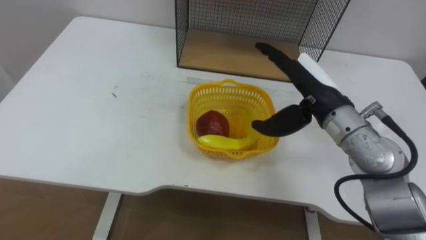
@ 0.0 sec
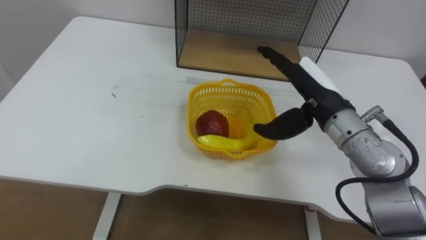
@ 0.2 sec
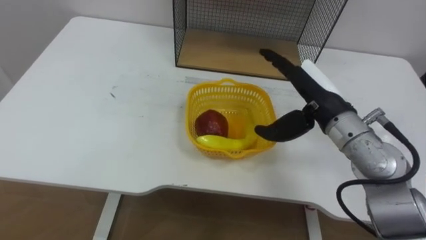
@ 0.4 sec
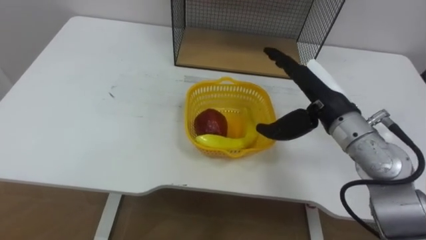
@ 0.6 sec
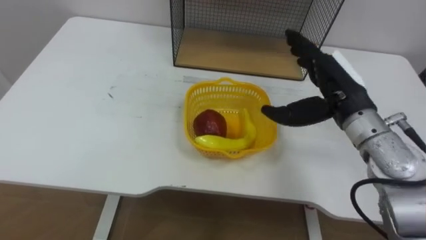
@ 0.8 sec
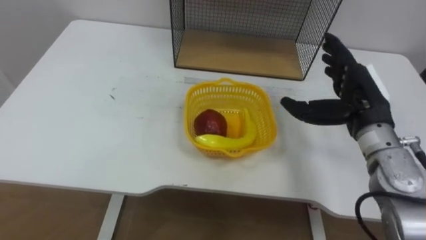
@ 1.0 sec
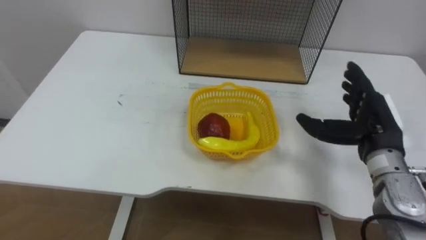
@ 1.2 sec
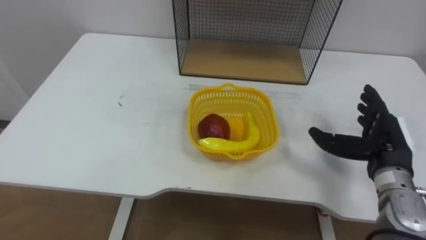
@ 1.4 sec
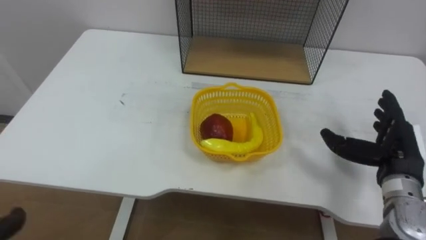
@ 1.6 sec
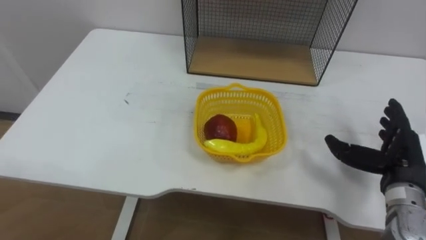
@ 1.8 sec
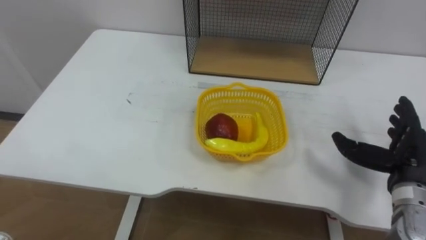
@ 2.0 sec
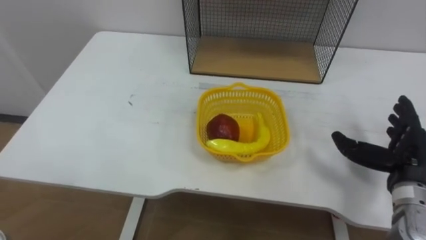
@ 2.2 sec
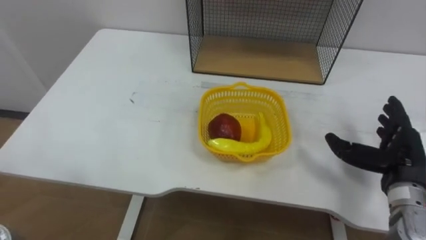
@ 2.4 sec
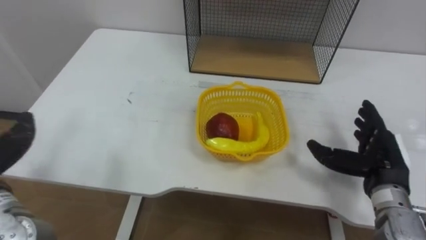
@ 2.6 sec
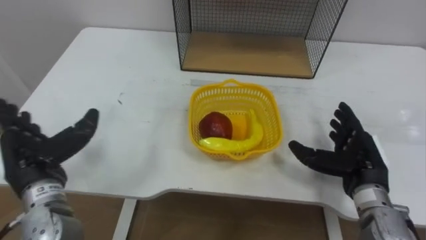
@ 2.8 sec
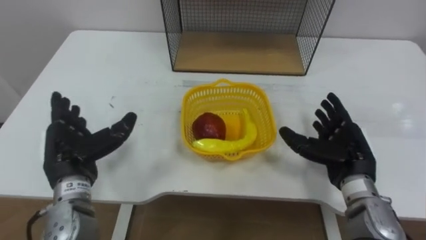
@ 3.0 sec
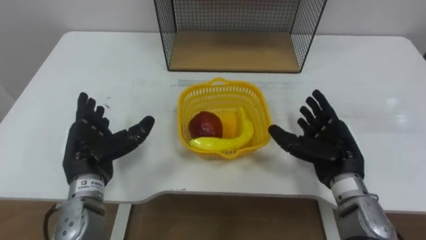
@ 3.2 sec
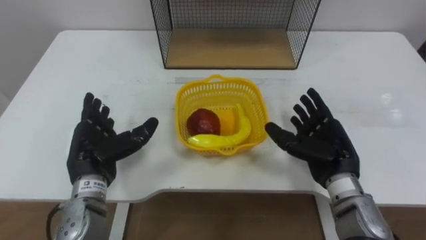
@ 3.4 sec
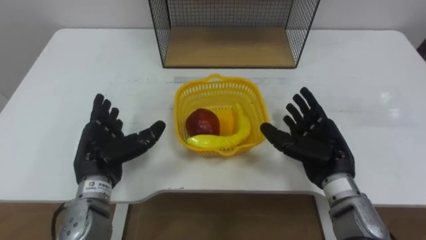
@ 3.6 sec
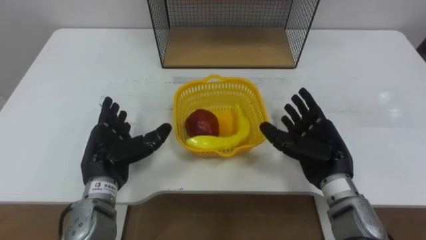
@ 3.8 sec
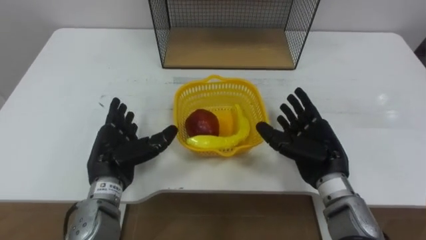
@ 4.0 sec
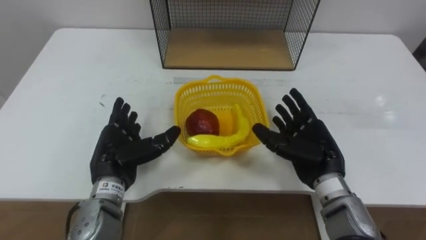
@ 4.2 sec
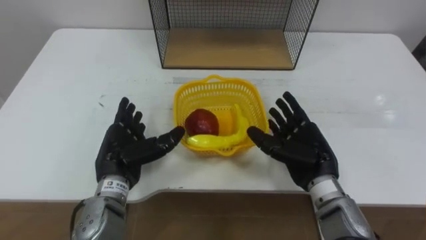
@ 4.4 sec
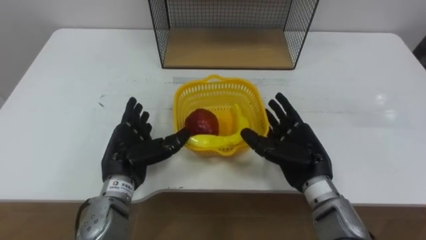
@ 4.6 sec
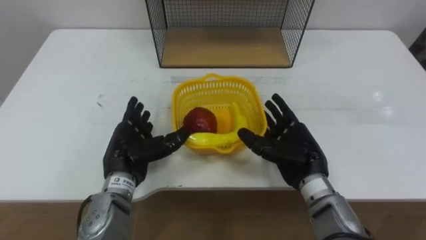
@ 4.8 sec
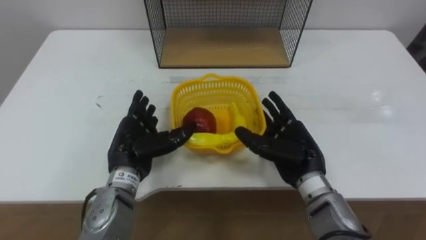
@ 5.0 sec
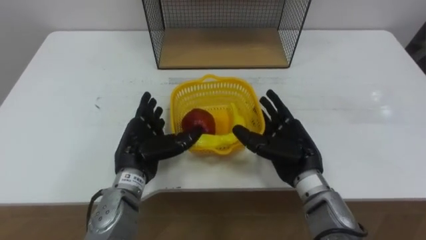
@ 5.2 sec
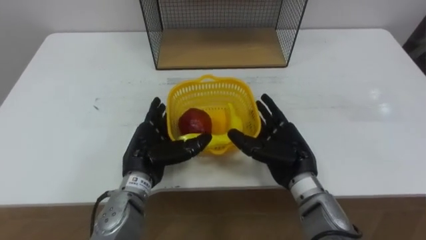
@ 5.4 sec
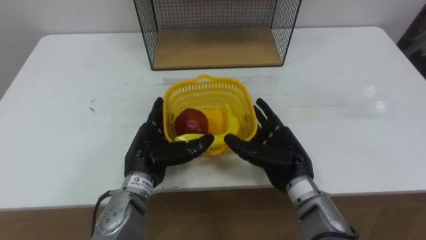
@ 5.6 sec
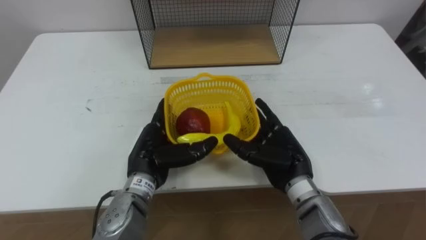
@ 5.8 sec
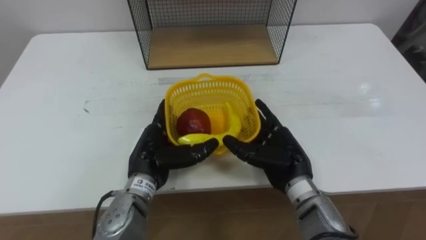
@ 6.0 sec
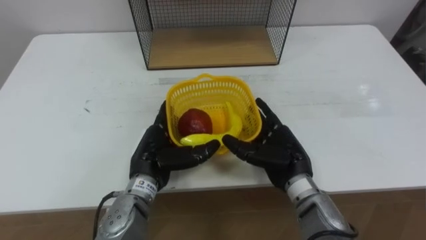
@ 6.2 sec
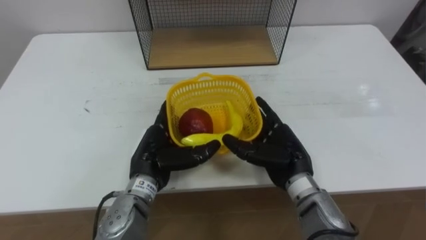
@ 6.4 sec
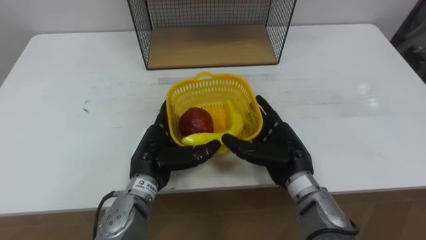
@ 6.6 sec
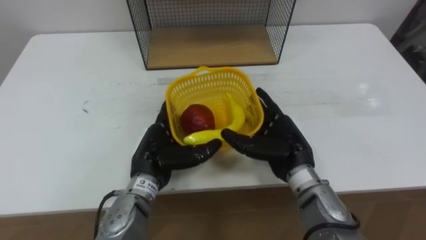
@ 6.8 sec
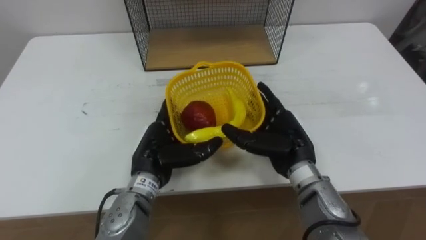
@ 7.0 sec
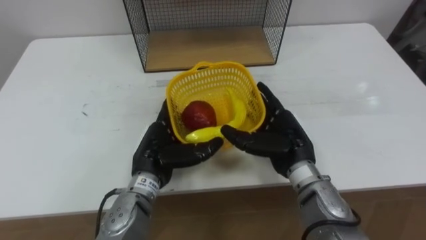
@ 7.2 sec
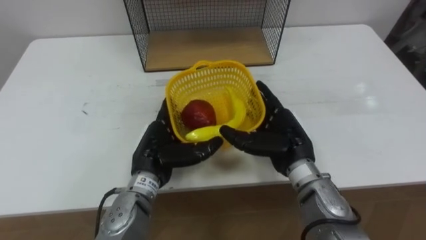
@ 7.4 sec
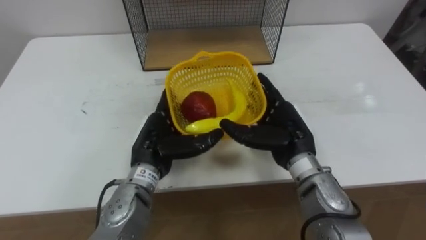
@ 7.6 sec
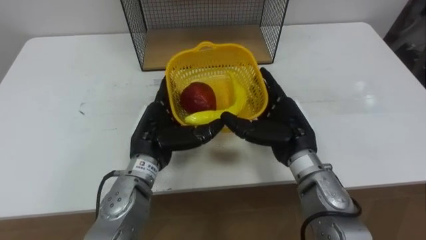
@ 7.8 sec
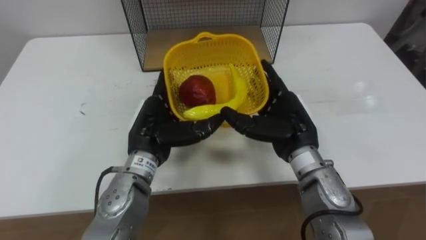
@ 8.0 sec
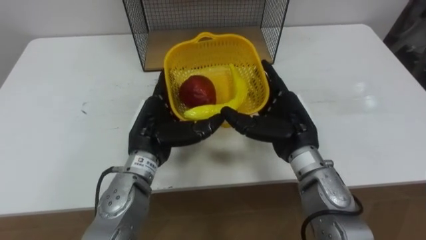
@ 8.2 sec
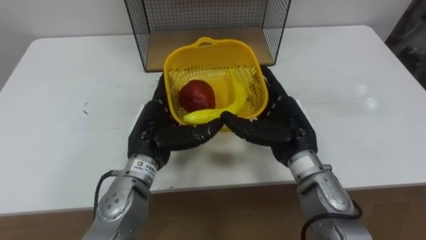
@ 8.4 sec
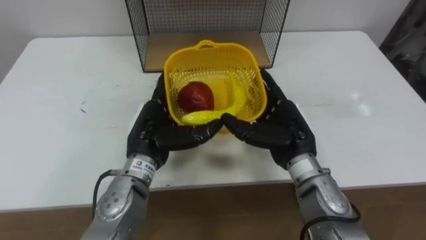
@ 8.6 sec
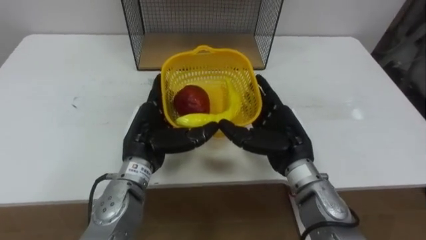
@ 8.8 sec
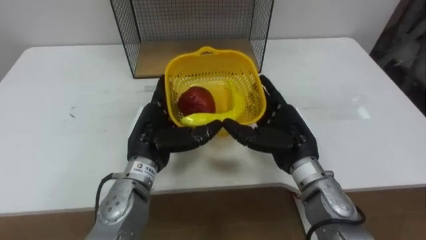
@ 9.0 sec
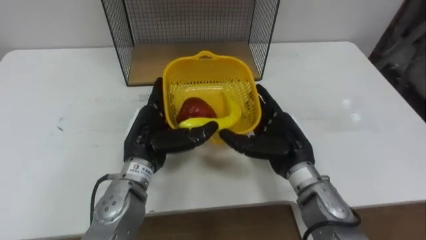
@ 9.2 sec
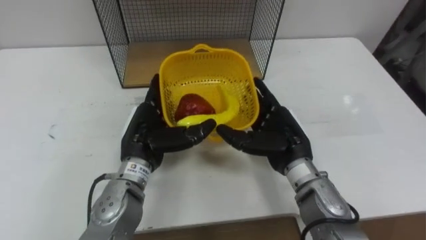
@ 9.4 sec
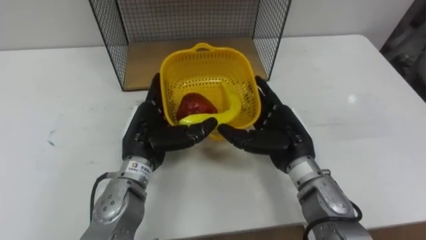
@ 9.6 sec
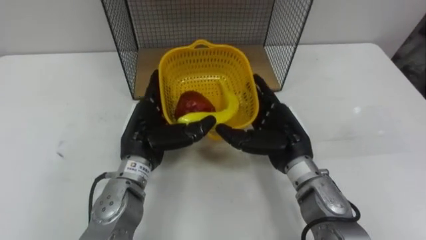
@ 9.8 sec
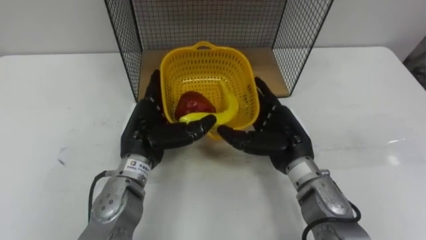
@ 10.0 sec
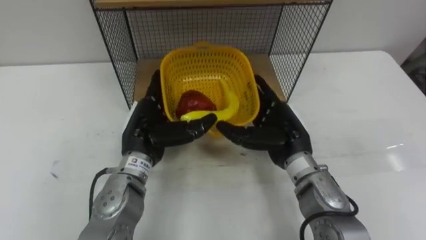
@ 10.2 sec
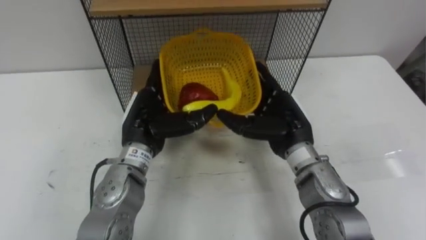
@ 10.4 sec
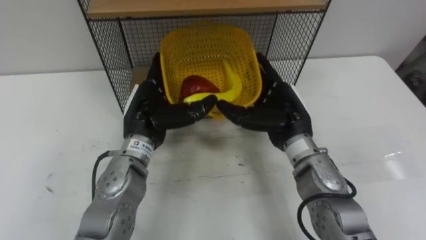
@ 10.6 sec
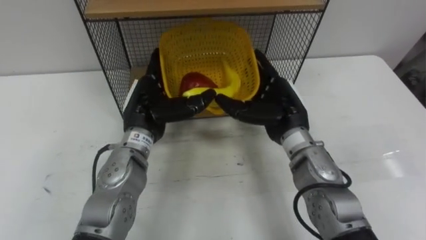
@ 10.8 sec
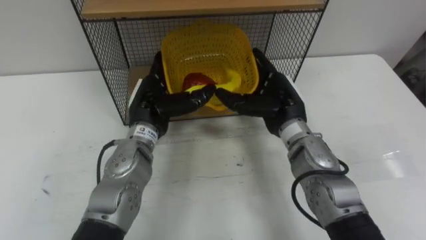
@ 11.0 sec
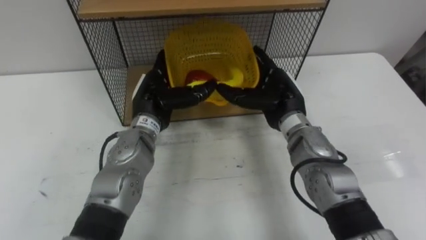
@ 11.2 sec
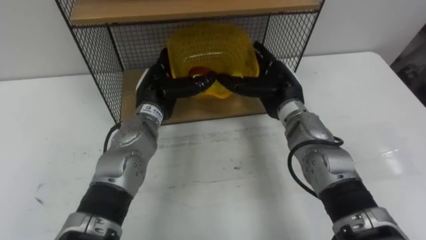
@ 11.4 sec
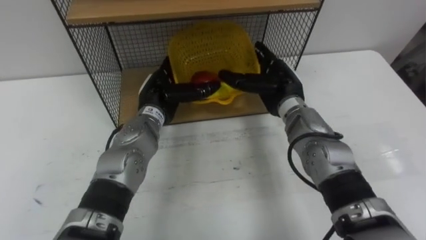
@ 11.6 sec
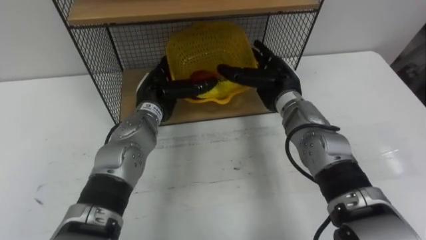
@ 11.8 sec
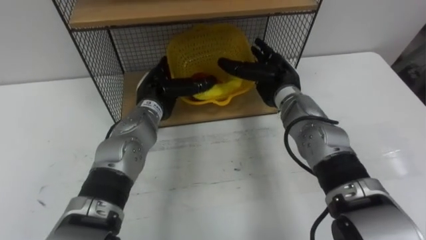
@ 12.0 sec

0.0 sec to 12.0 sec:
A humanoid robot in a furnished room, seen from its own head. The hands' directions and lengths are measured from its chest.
Task of the whole recording: Put the fruit on the table into the basket, then place the basket on the shelf.
0.0 sec to 1.6 sec: The right hand is displaced to the right, downward and backward by roughly 20 cm.
1.6 sec to 3.0 sec: The right hand moves to the left, about 5 cm.
3.0 sec to 4.4 sec: The left hand is displaced to the right by some 10 cm. Meanwhile the right hand is displaced to the left by roughly 5 cm.
4.4 sec to 6.0 sec: The left hand moves to the right, approximately 5 cm.
6.0 sec to 7.6 sec: The hands move only a little.
10.4 sec to 12.0 sec: Both hands travel together forward, about 10 cm.

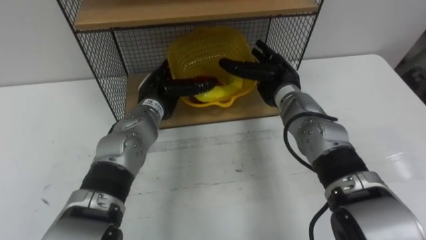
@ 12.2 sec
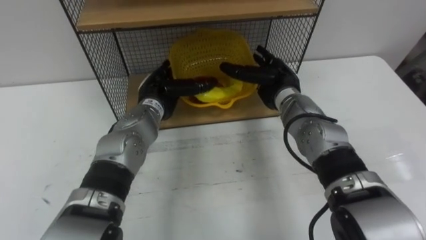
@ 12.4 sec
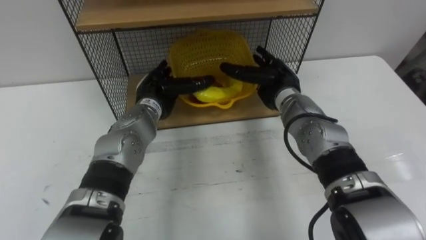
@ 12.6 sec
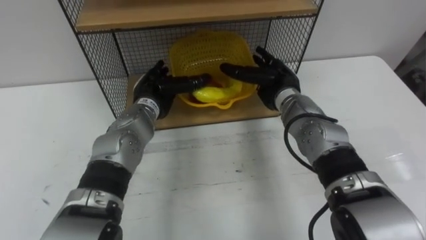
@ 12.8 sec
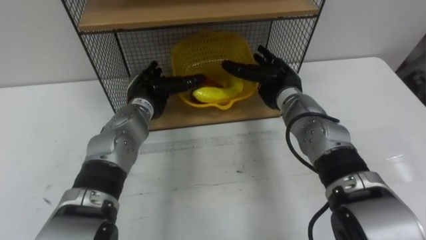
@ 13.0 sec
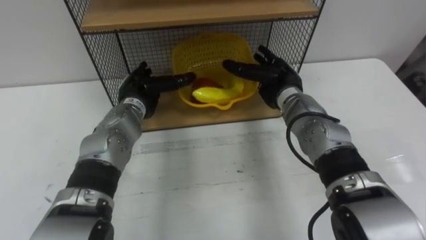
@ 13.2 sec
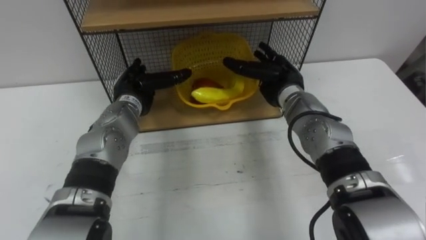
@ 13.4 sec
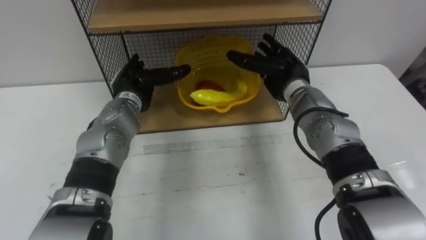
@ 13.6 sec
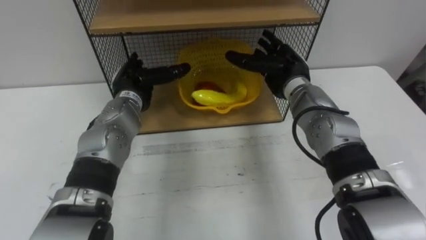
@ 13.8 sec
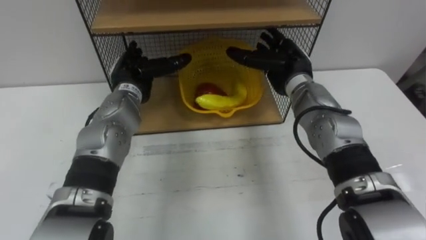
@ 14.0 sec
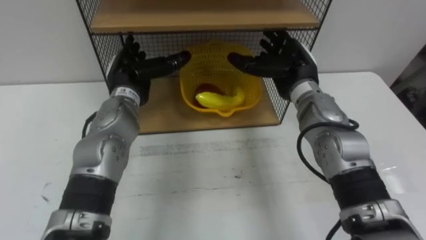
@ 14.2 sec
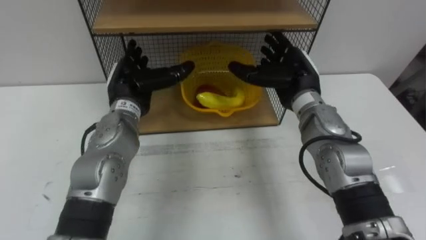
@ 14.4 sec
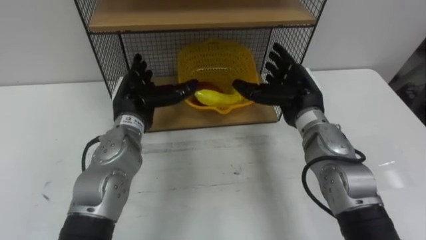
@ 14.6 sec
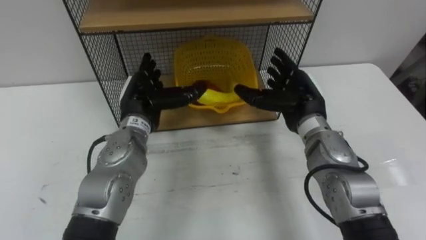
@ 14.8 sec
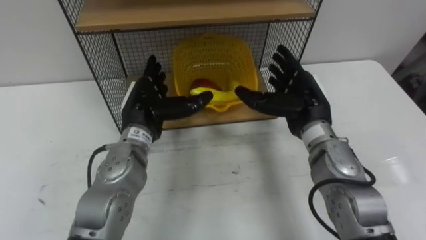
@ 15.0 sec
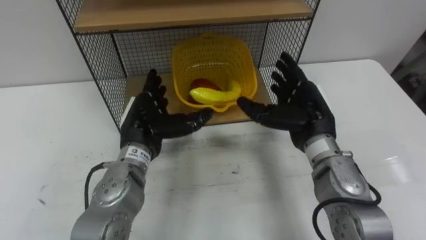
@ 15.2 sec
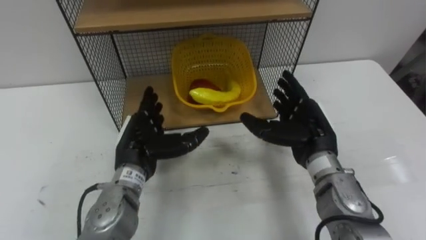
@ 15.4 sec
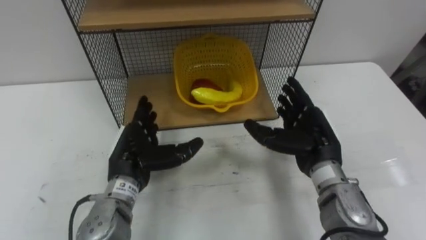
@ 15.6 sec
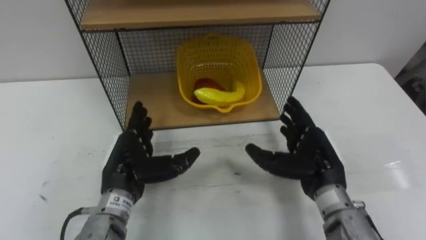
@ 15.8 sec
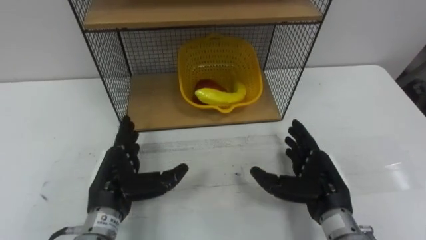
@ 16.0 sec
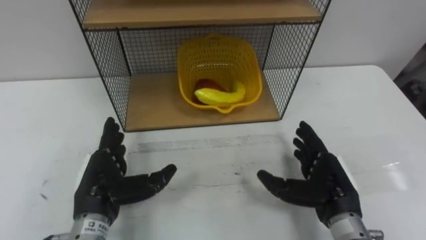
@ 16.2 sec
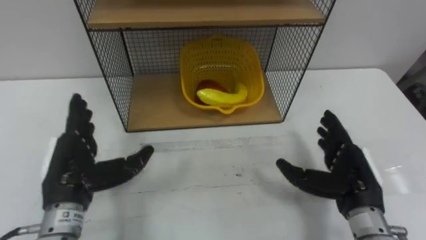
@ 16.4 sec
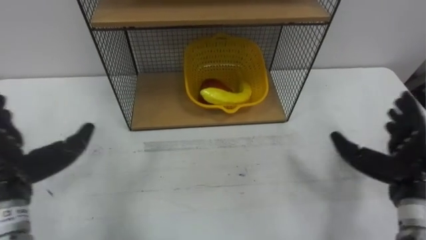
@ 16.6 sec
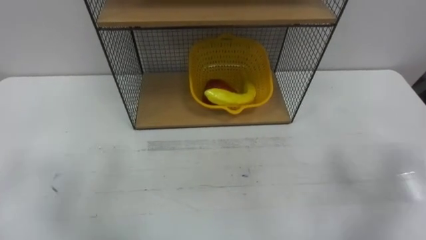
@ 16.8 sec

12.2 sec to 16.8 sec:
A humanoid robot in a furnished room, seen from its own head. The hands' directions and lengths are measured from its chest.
Task of the whole recording: Put the fruit on the table into the basket, then place the basket on the shelf.
12.2 sec to 13.8 sec: The left hand goes some 5 cm to the left.
13.8 sec to 15.2 sec: Both hands travel together backward, some 10 cm.
